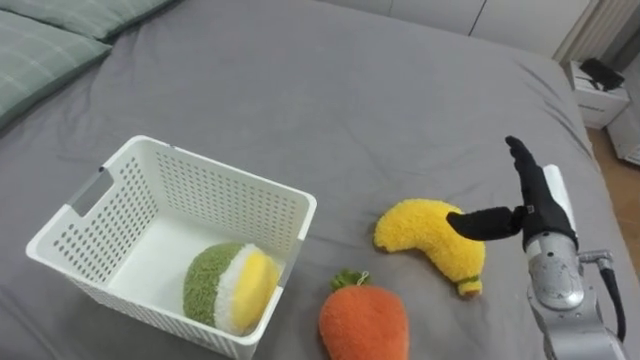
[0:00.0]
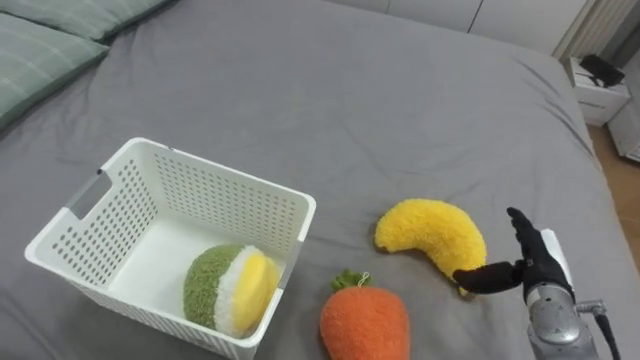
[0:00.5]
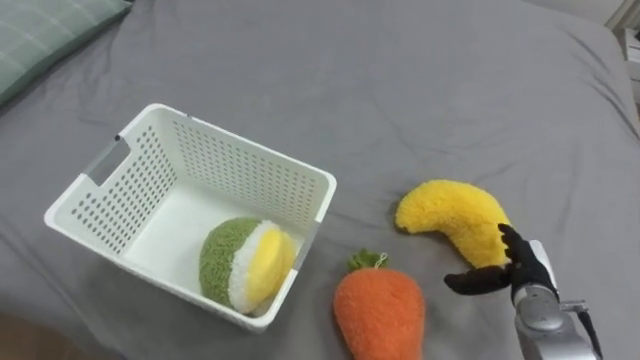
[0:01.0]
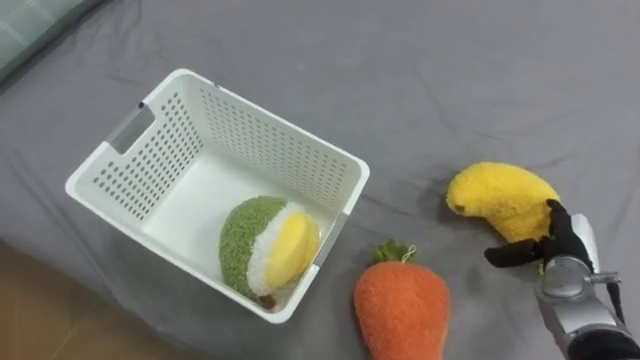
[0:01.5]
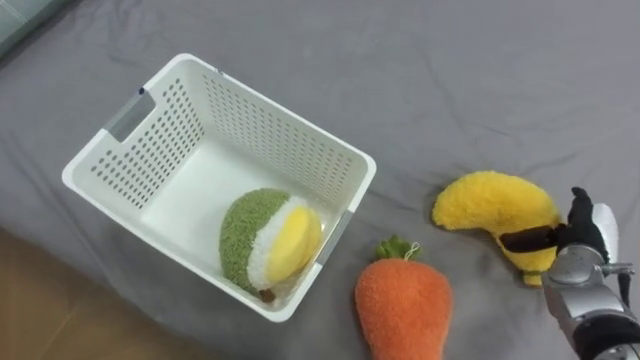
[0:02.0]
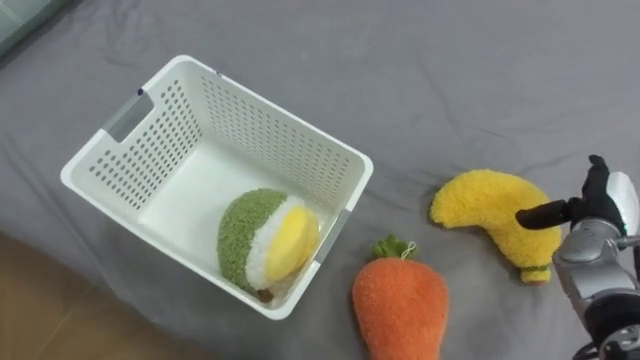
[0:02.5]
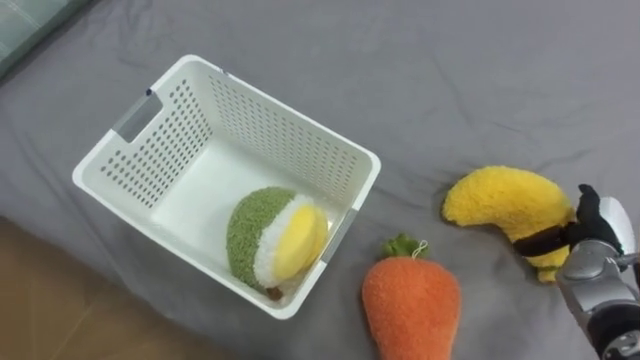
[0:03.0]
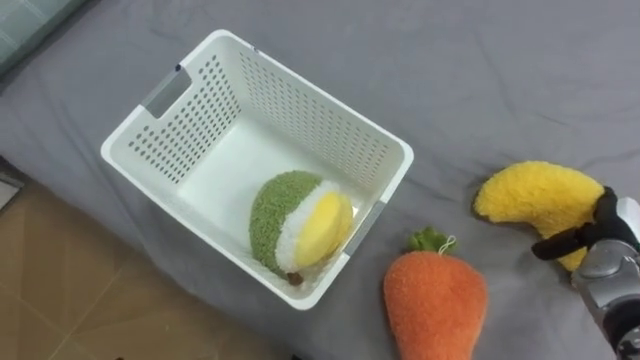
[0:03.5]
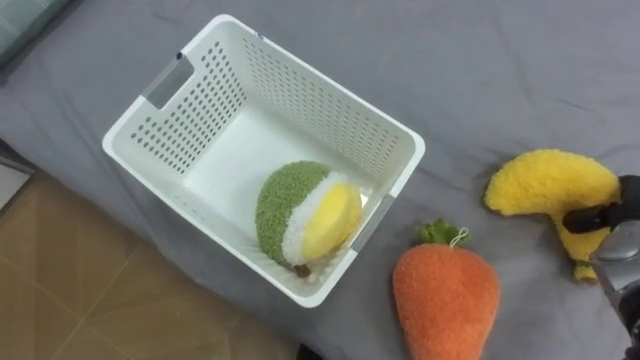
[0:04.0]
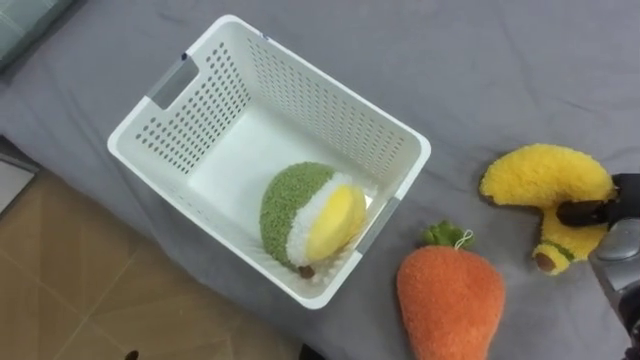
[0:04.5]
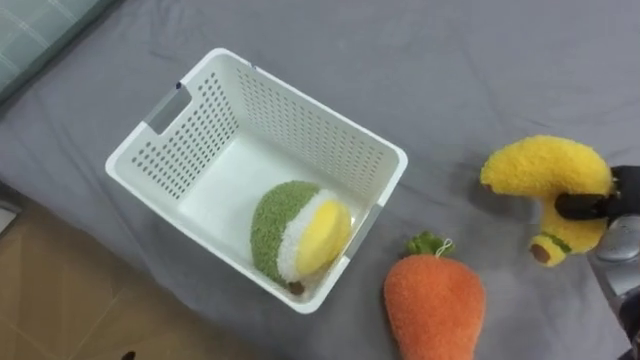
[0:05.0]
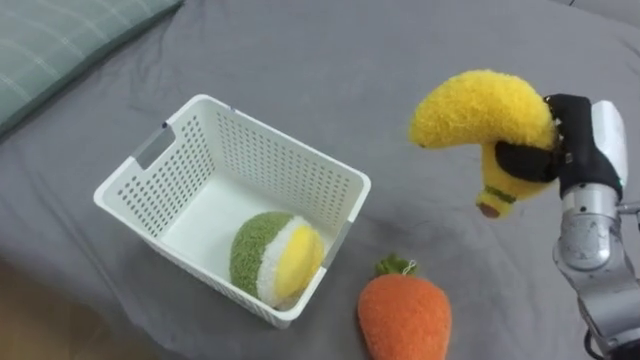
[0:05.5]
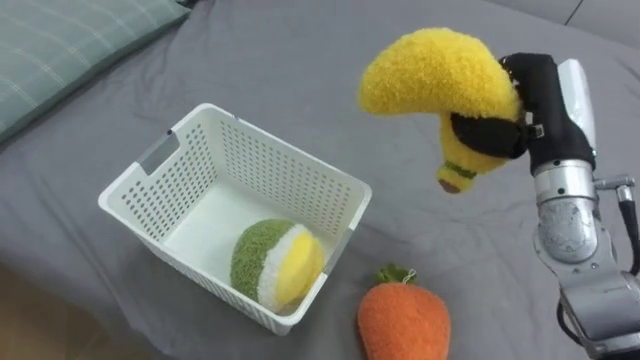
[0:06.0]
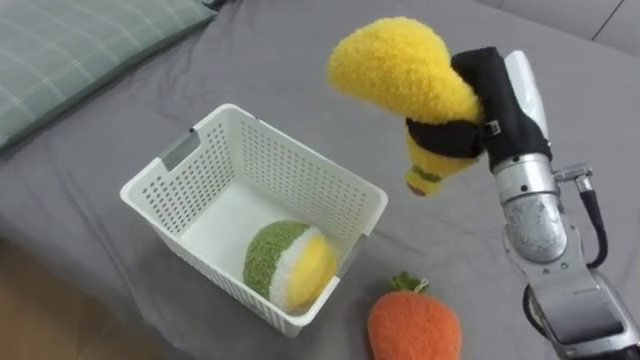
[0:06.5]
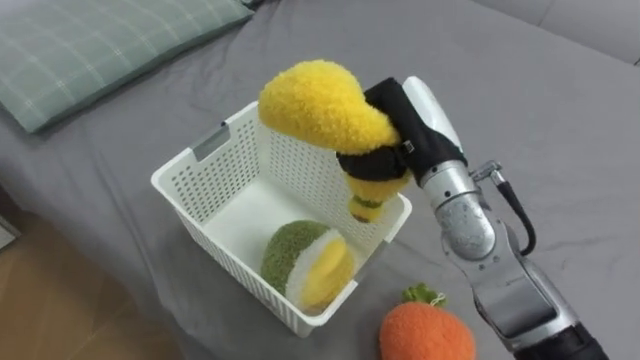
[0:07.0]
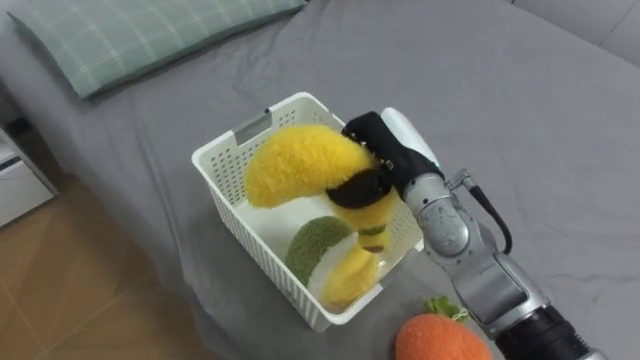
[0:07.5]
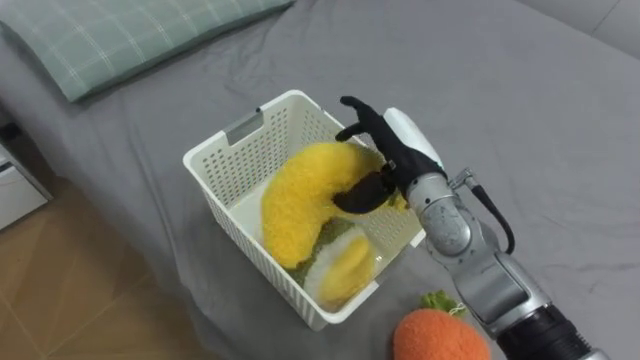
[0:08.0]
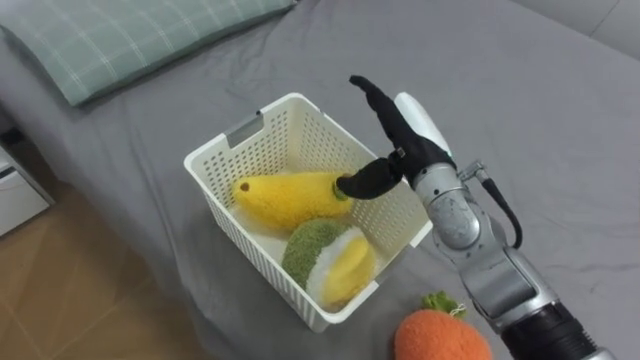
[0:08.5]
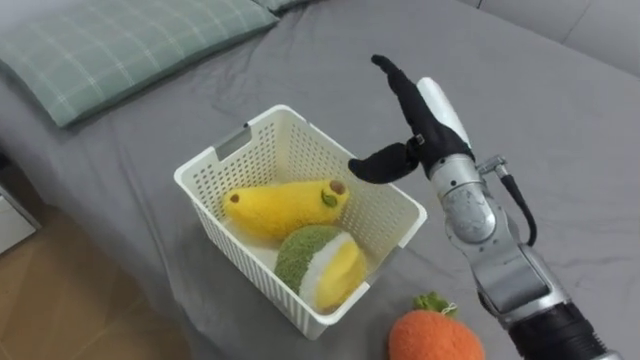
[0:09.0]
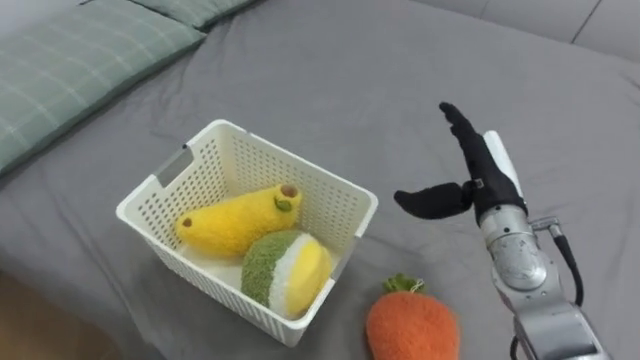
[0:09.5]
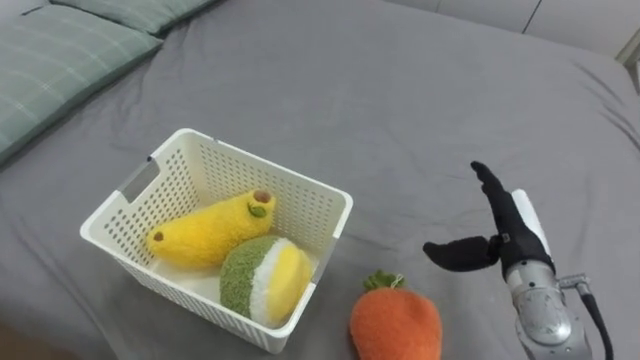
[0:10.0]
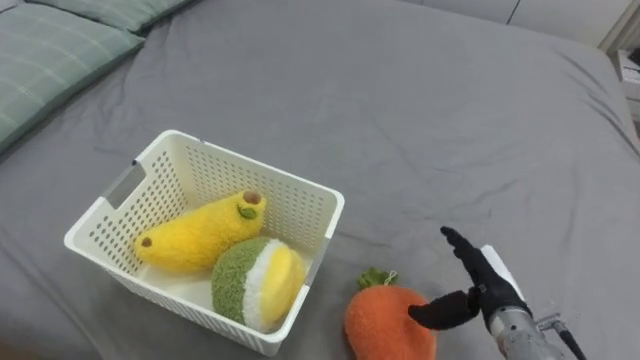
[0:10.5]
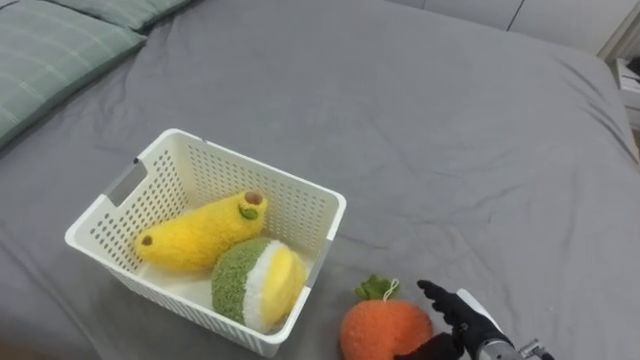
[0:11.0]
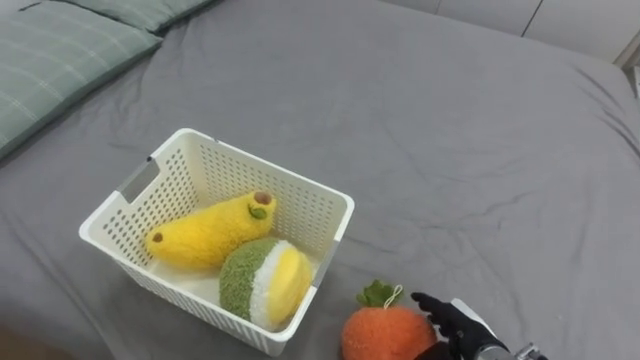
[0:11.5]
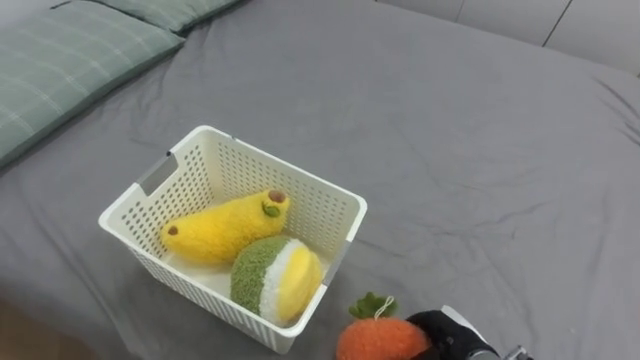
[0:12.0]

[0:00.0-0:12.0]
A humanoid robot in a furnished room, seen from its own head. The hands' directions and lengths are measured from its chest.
Task of the whole recording: Put the toys on the bed into the basket on the left.
0:00.0 to 0:02.0: The right hand heads to the right and downward, covering approximately 10 cm.
0:02.0 to 0:04.0: The right hand heads to the right, covering about 5 cm, and closes.
0:04.0 to 0:06.0: The right hand shifts roughly 20 cm to the left and upward, and closes.
0:06.0 to 0:08.0: The right hand shifts about 15 cm to the left and downward, and opens up.
0:08.0 to 0:10.0: The right hand is displaced to the right, backward and downward by approximately 20 cm.
0:10.0 to 0:12.0: The right hand travels downward and backward by approximately 15 cm, and closes.

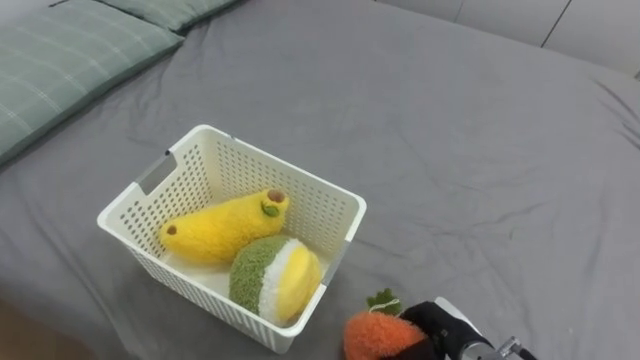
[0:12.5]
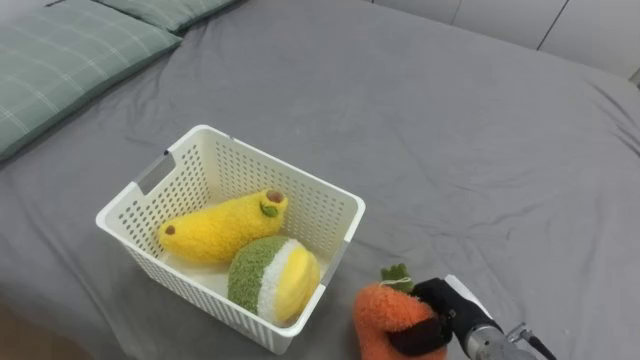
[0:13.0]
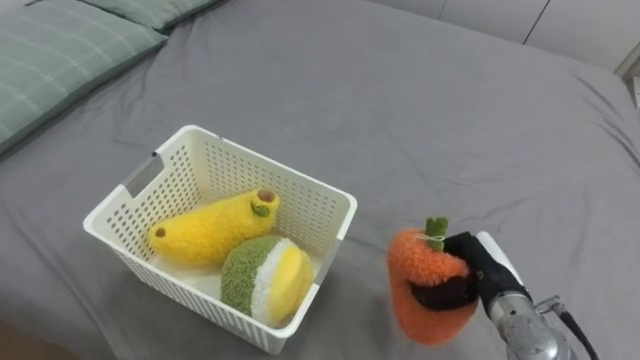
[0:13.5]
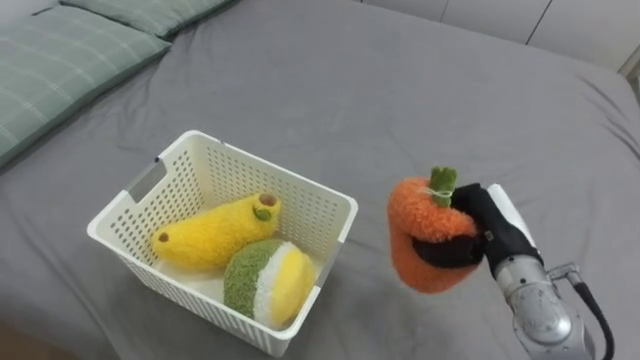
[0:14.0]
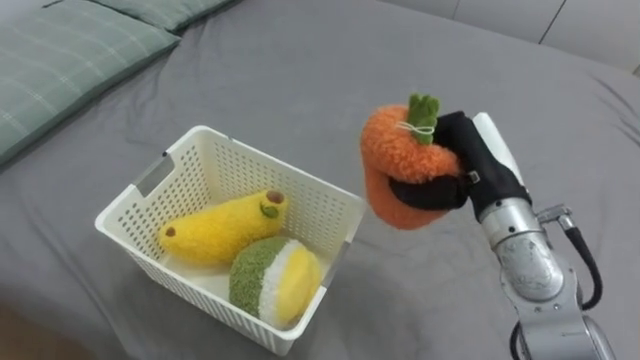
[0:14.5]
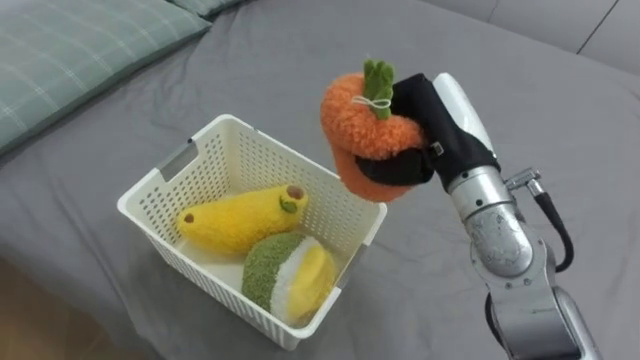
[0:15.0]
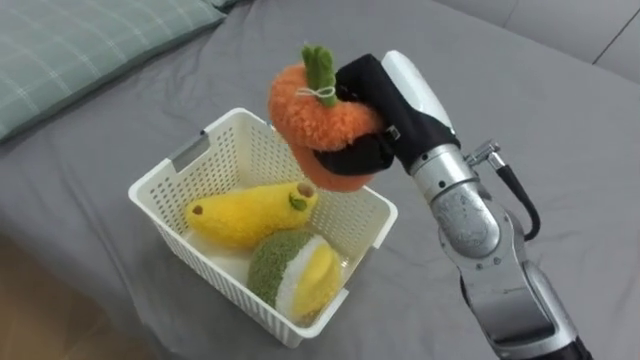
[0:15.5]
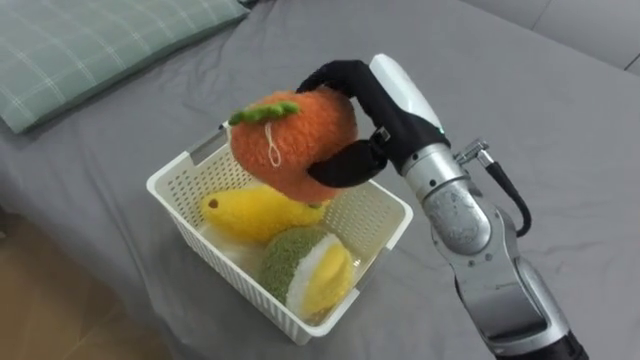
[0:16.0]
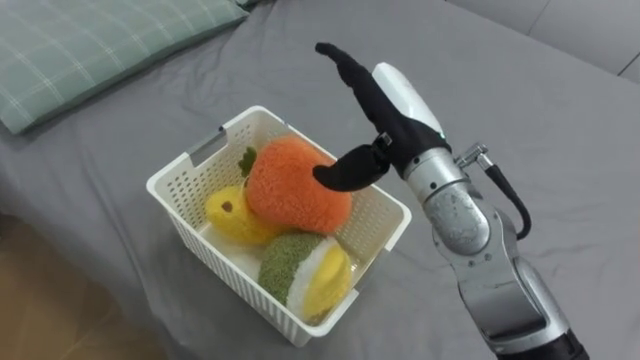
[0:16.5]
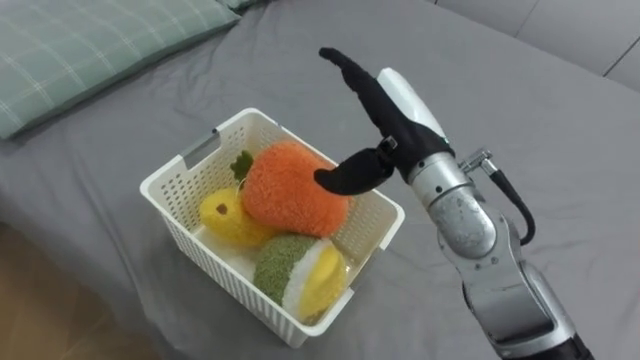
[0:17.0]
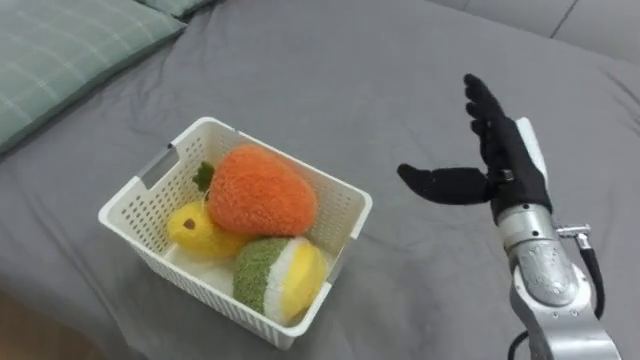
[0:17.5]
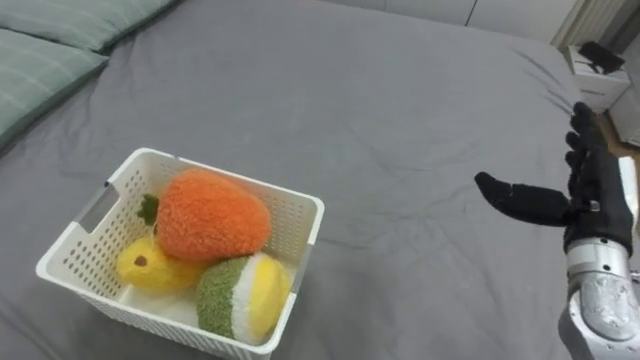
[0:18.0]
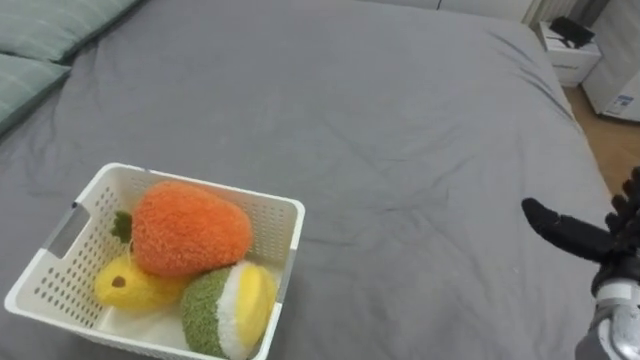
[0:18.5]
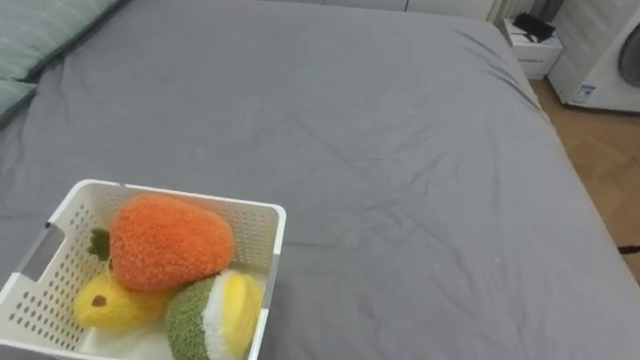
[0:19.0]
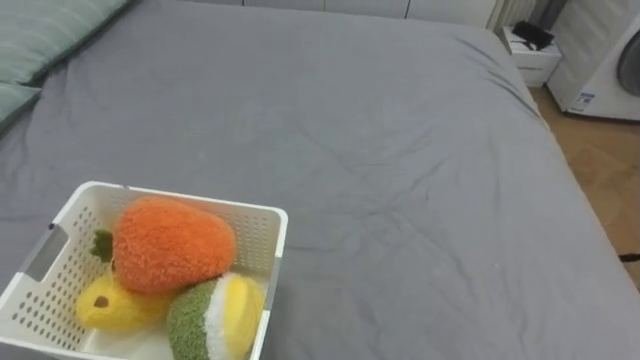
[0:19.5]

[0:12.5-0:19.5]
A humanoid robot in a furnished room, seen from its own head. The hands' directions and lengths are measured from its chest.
Task of the whole recording: Put the toys on the bed into the basket on the left.
0:12.5 to 0:14.5: The right hand moves upward and forward, roughly 25 cm.
0:14.5 to 0:16.0: The right hand heads to the left and upward, covering some 15 cm, and opens up.
0:16.0 to 0:17.5: The right hand heads to the right and downward, covering some 15 cm.

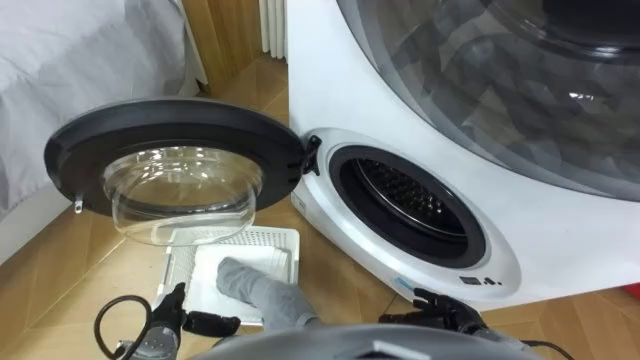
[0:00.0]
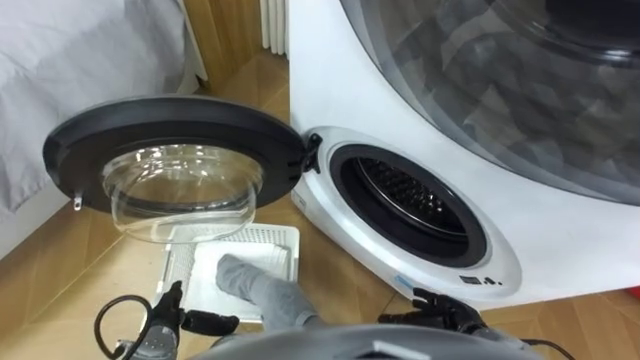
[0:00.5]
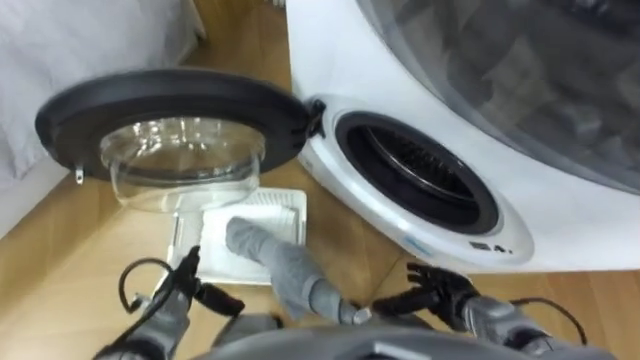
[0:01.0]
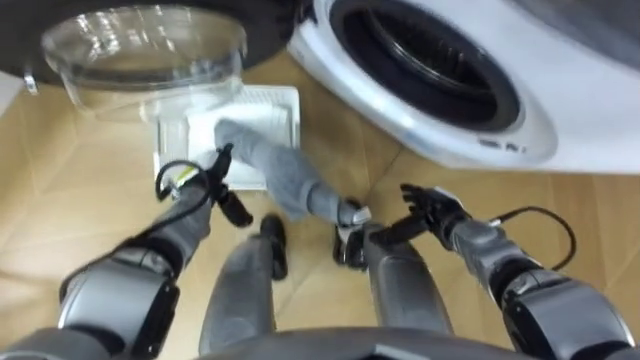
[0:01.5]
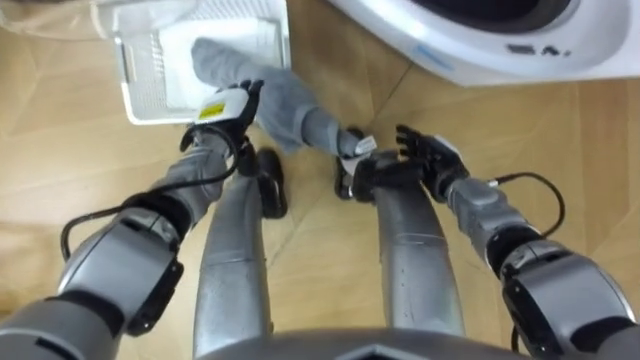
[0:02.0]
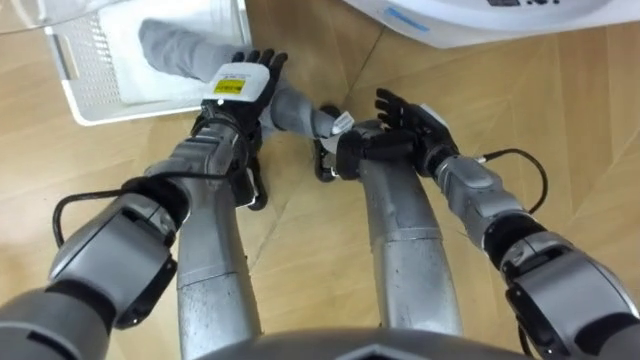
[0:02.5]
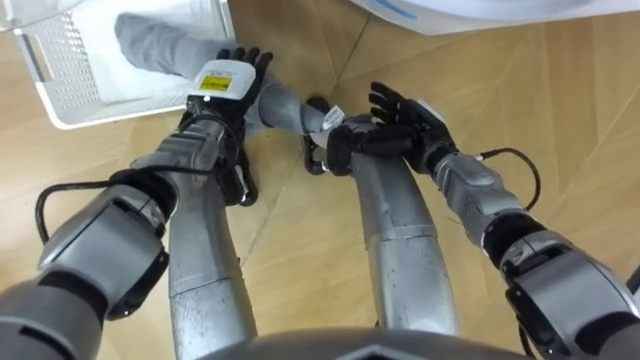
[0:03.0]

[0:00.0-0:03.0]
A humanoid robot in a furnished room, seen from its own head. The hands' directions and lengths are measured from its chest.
Task of the whole recording: Take the towel from the basket and put it into the washing machine.
0:01.5 to 0:03.0: The left hand is displaced upward, forward and to the right by approximately 15 cm, while the right hand is displaced forward, upward and to the left by roughly 15 cm.
